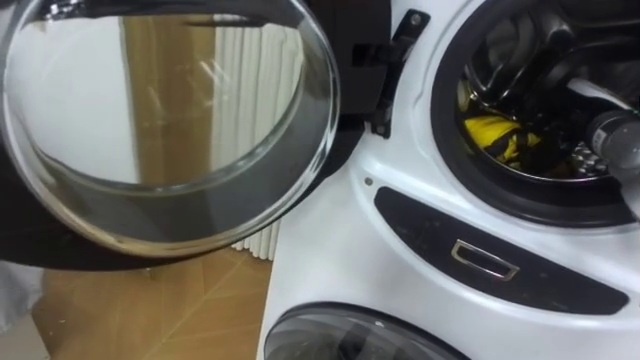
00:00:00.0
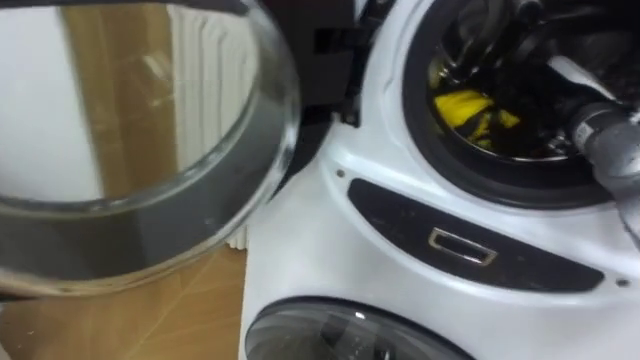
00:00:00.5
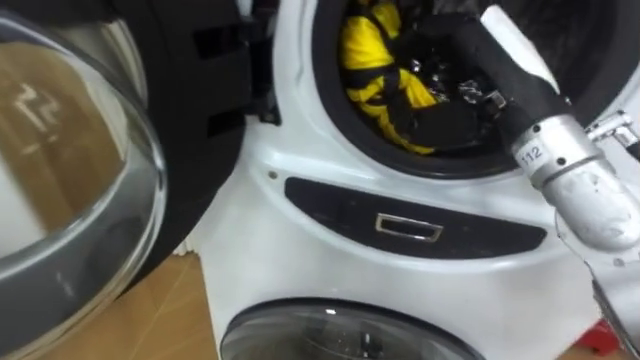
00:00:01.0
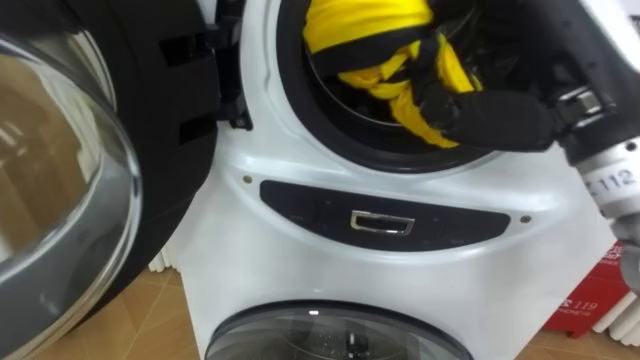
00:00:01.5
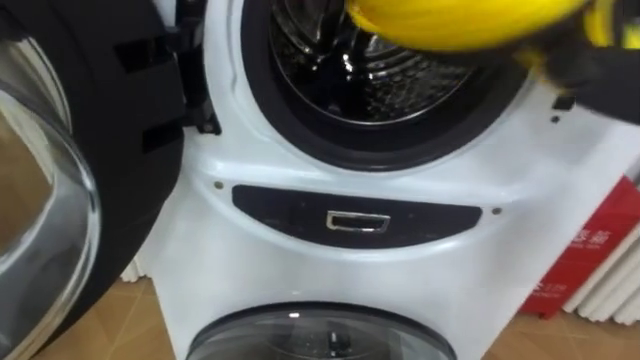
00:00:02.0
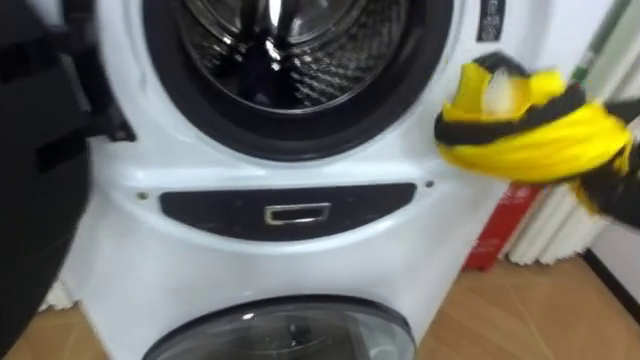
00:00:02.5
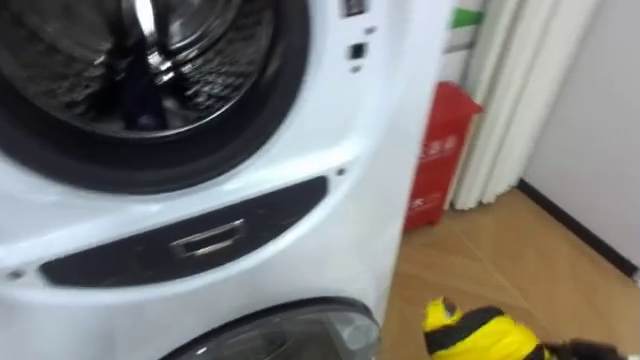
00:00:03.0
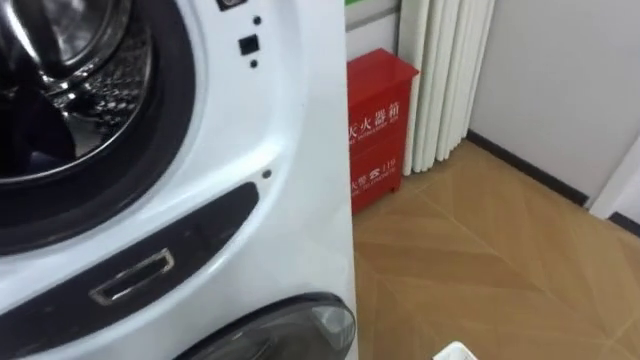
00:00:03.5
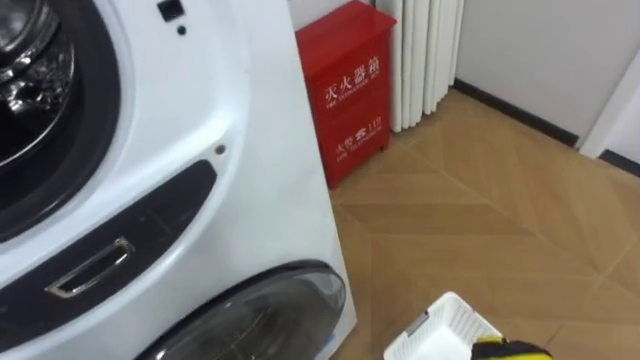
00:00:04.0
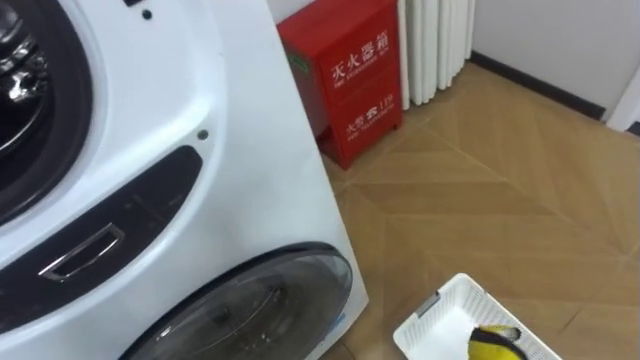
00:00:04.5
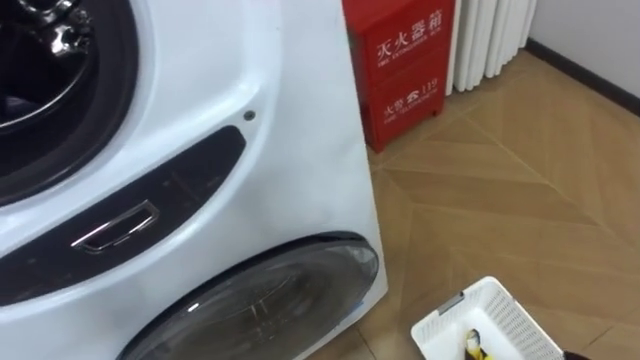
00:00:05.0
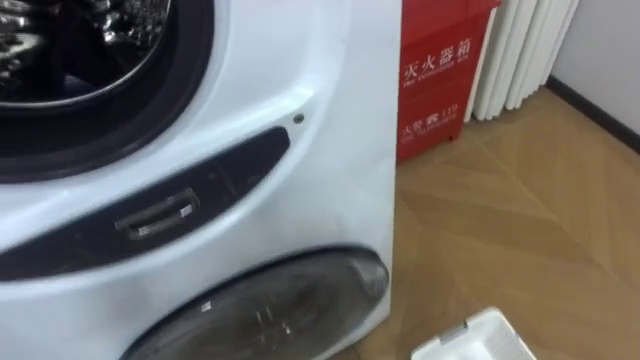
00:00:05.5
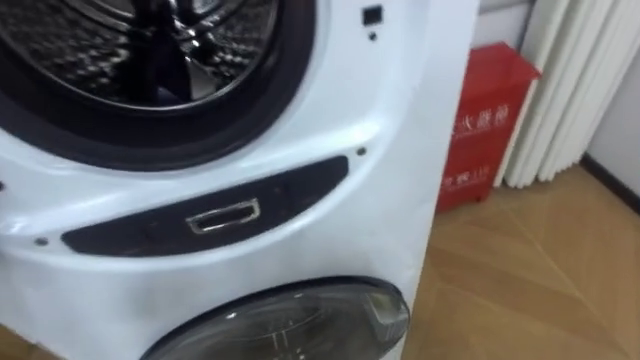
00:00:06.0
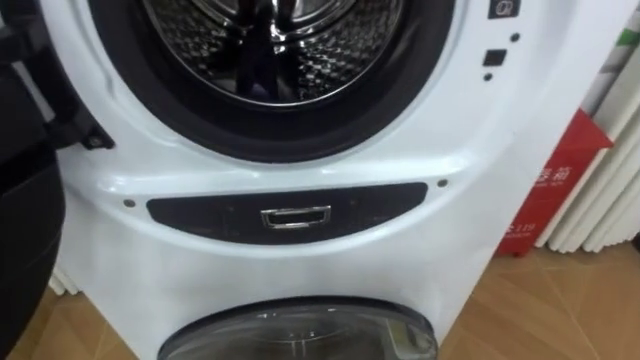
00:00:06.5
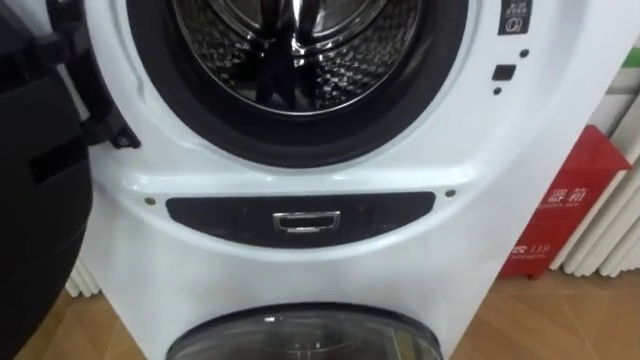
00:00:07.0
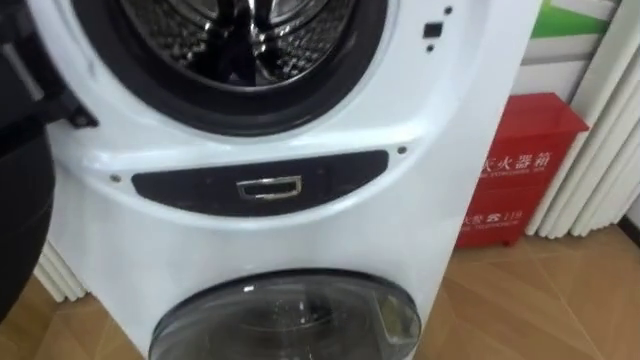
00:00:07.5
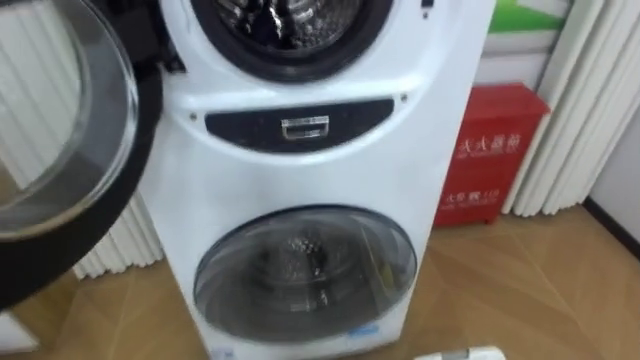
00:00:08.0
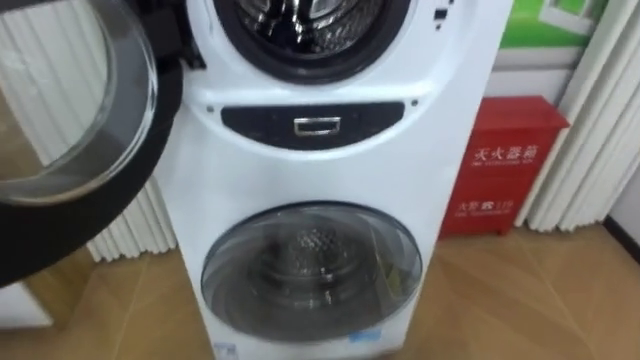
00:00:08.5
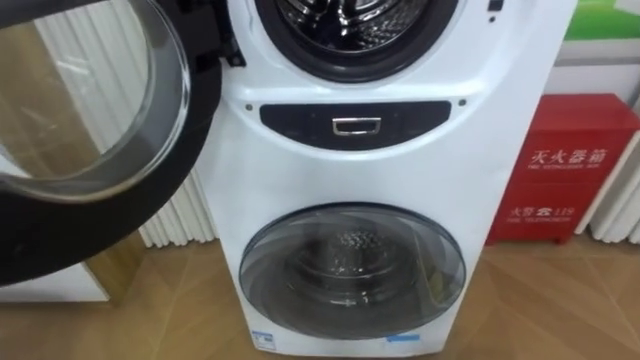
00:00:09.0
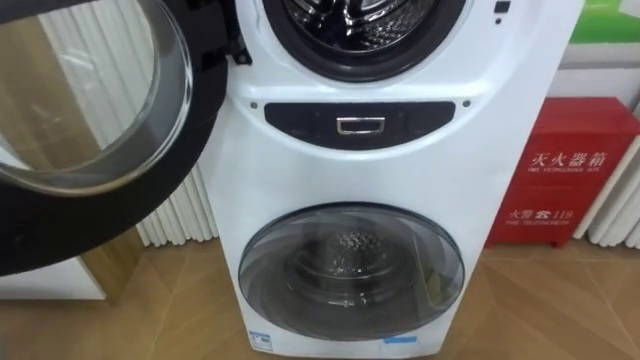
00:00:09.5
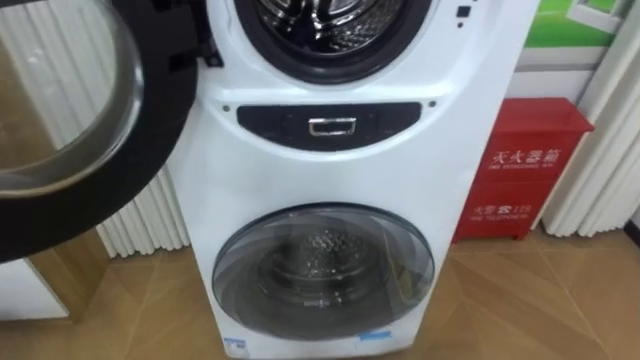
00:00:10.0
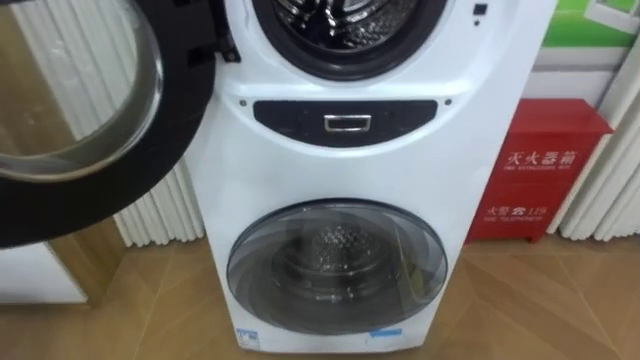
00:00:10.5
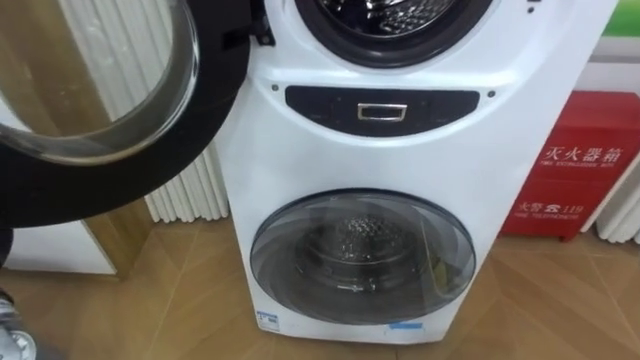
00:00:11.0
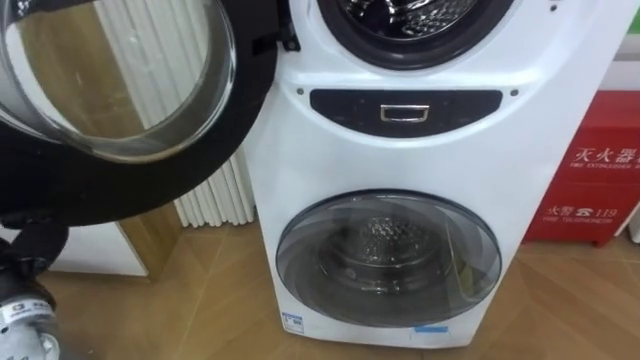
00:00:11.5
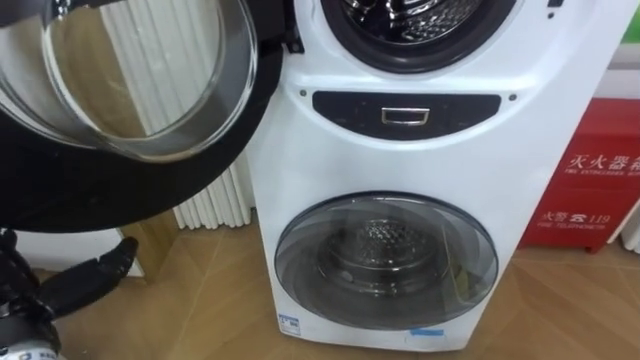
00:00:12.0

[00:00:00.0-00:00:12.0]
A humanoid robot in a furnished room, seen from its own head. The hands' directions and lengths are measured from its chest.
Task of the whole recording: Open the washing machine door, take out the yellow clothes, place them in the box on the right, and close the washing machine door.
00:00:04.0 to 00:00:06.0: The robot turns to its left by about 15 degrees.

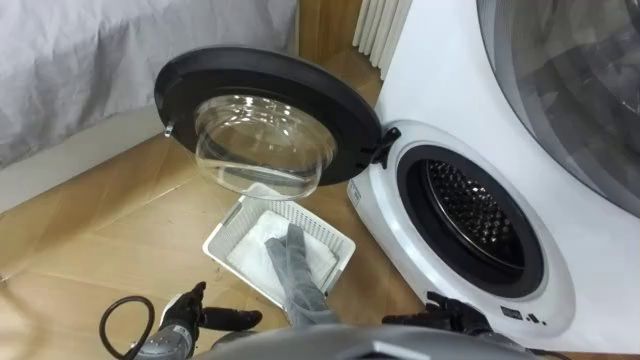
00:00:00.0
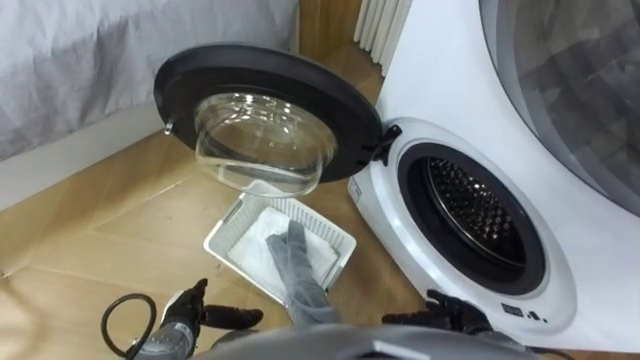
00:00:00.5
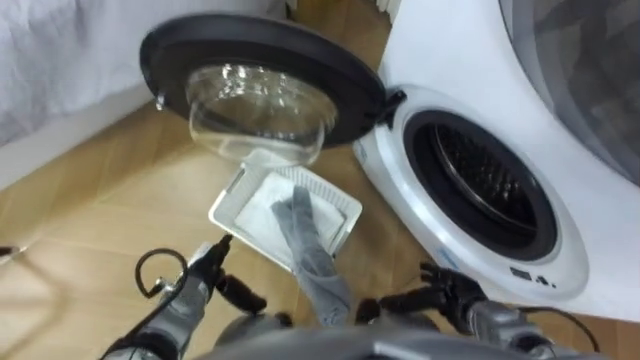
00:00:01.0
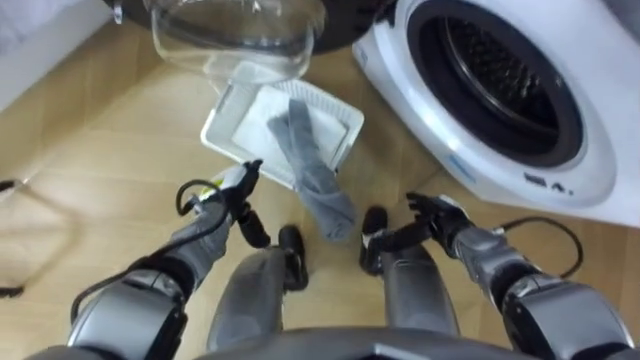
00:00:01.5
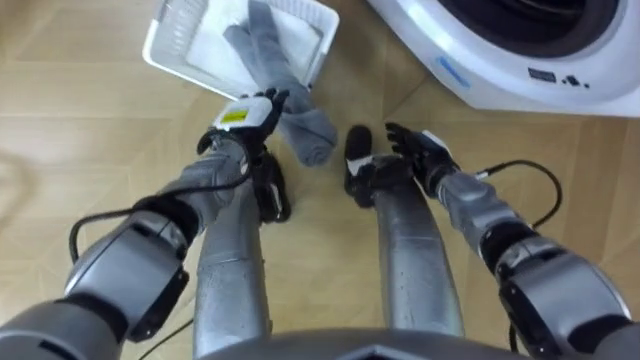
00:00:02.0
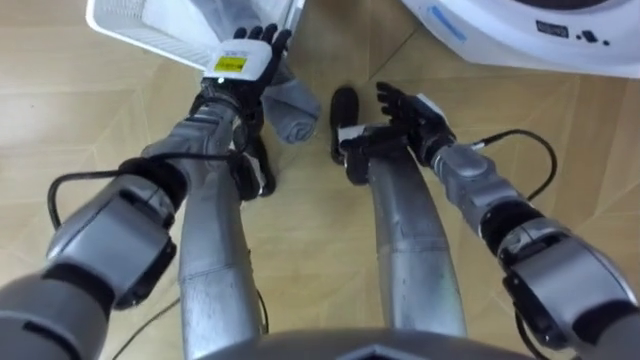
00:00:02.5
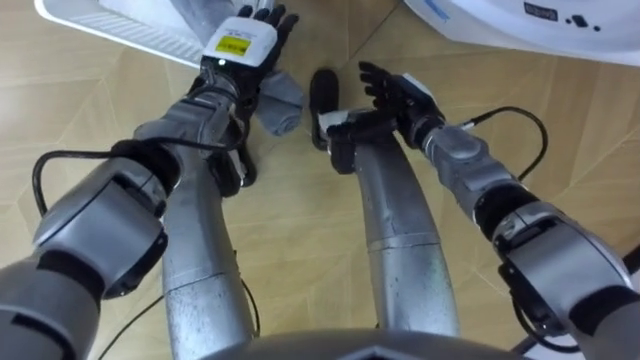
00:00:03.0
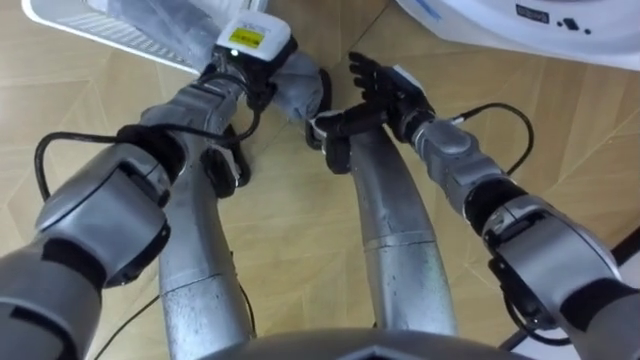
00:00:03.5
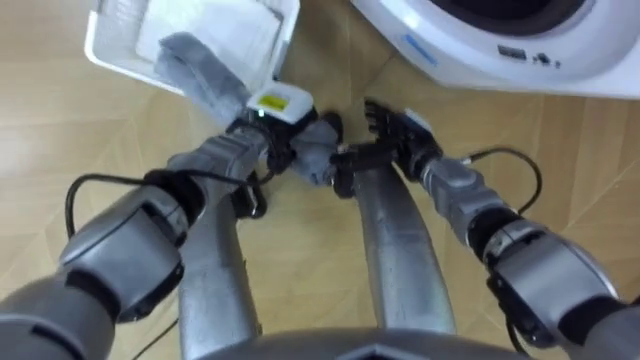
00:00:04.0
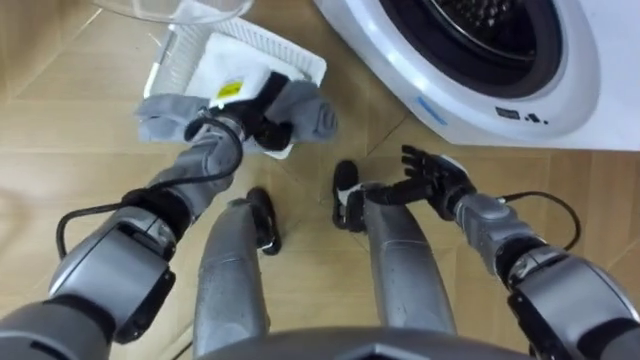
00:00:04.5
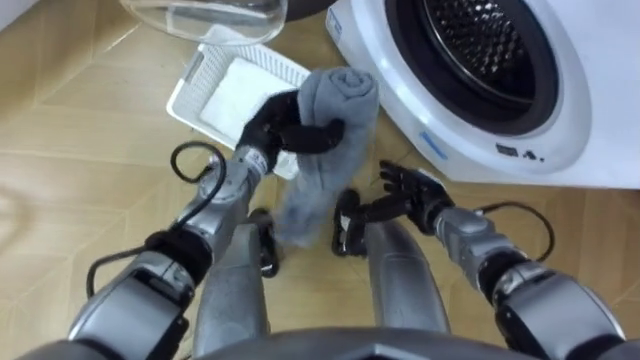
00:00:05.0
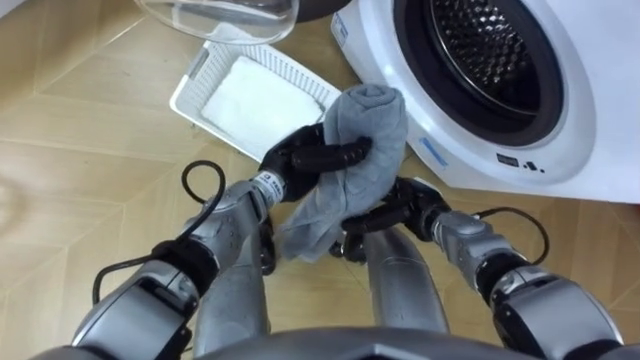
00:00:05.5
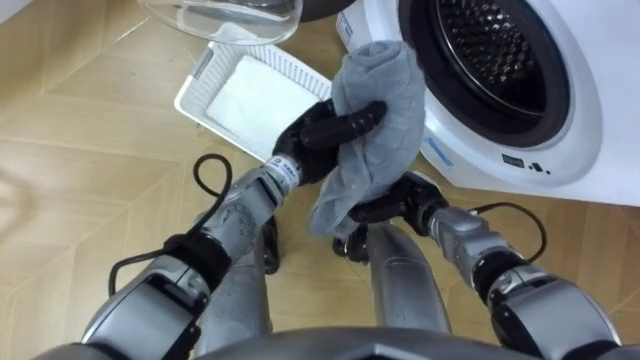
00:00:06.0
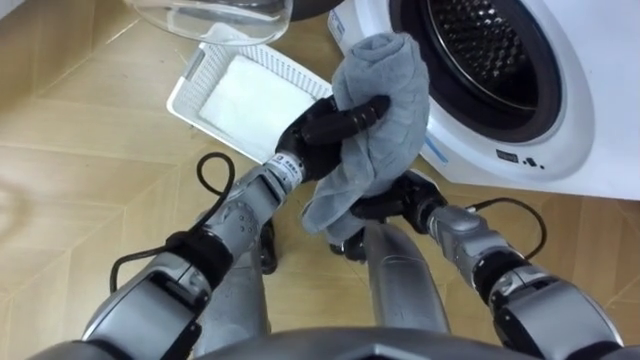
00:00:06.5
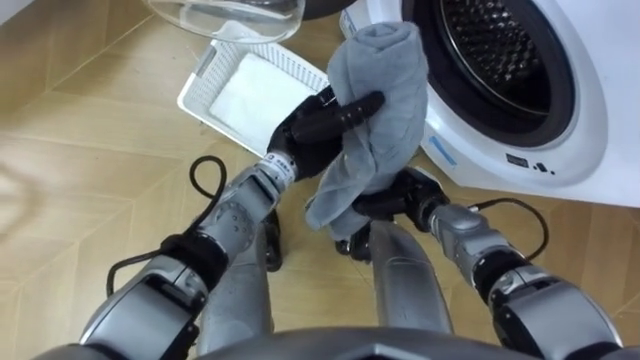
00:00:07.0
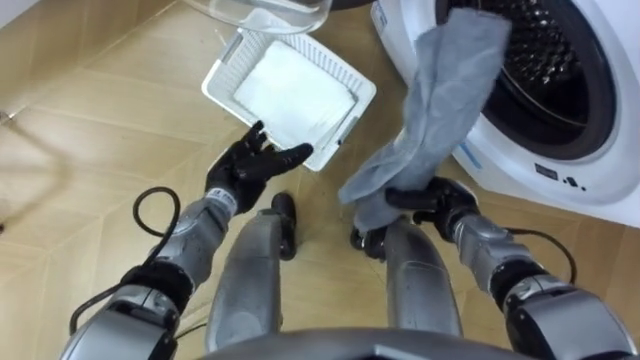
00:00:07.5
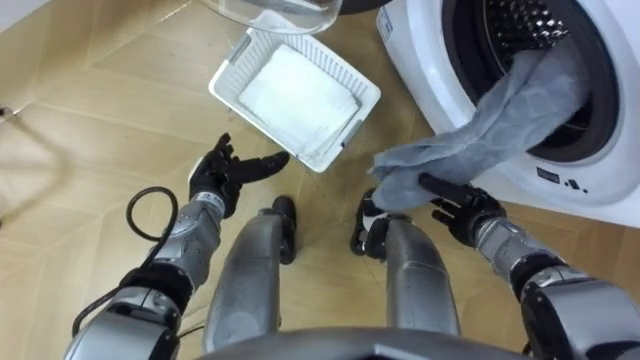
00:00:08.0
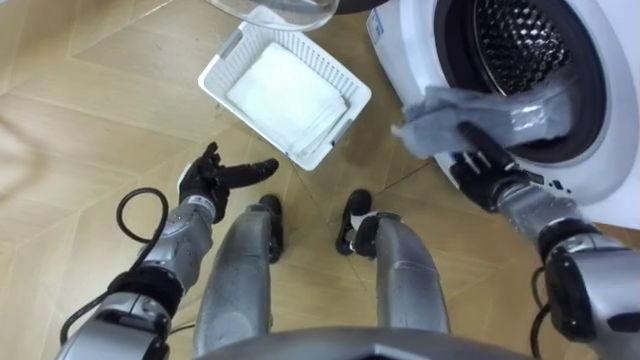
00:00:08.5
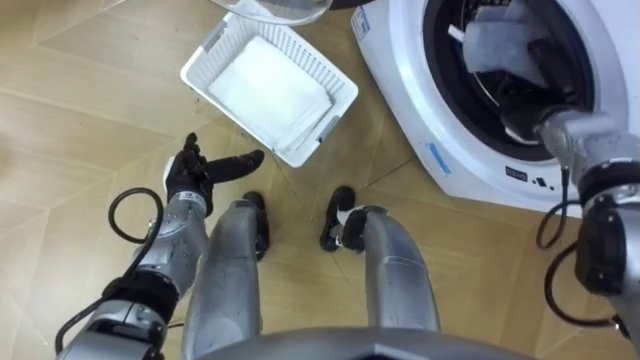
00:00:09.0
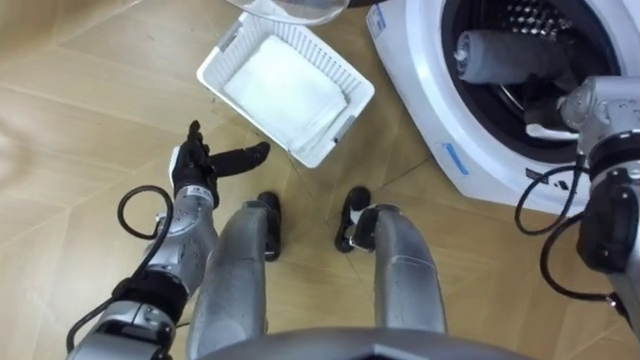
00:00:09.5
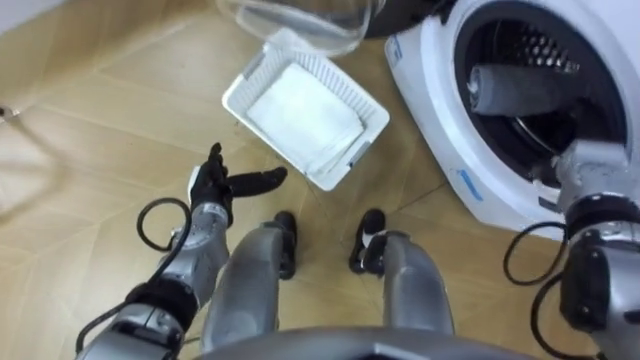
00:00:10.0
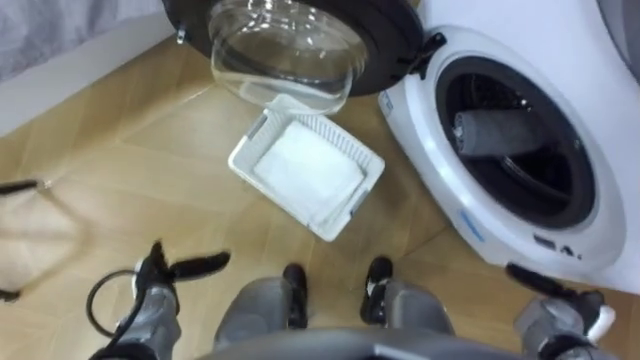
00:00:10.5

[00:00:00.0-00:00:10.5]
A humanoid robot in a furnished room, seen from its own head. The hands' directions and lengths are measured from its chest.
Task of the whole recording: Take the towel from the basket and put it into the washing machine.
00:00:02.0 to 00:00:04.0: The left hand moves to the right, some 5 cm, moves about 10 cm upward and comes back, and closes up.
00:00:04.0 to 00:00:06.5: The right hand goes about 10 cm backward and downward, and closes up, while the left hand heads to the right, covering roughly 5 cm.
00:00:06.5 to 00:00:08.5: The left hand is displaced to the left and downward by some 20 cm, and opens up, while the right hand is displaced to the right by roughly 15 cm.
00:00:08.5 to 00:00:10.5: The left hand travels backward, to the left and downward by approximately 15 cm. The right hand is displaced backward and to the right by some 20 cm, and opens.
